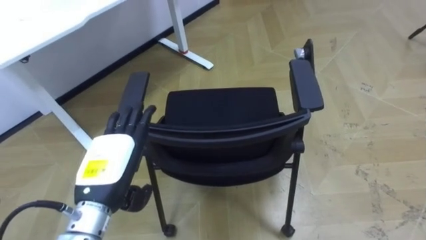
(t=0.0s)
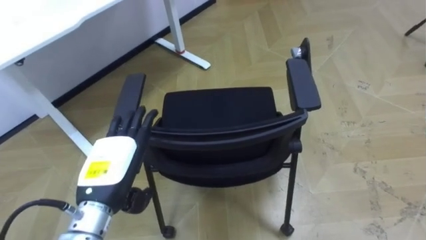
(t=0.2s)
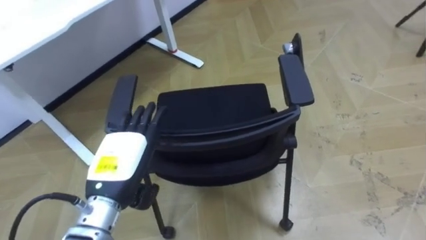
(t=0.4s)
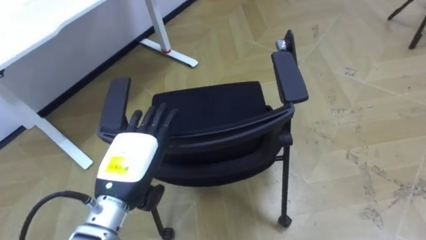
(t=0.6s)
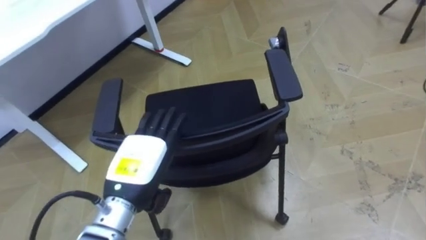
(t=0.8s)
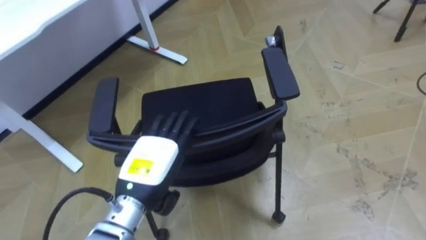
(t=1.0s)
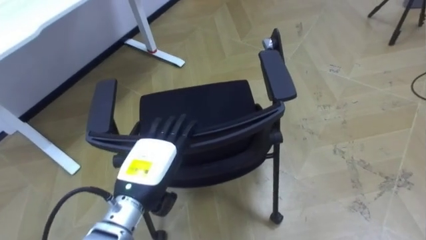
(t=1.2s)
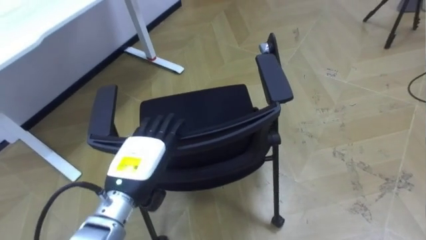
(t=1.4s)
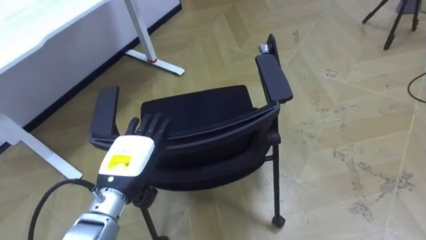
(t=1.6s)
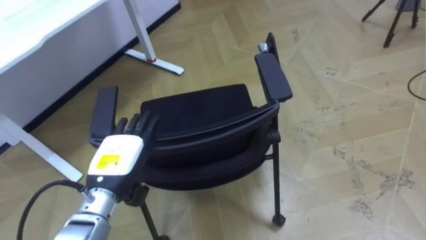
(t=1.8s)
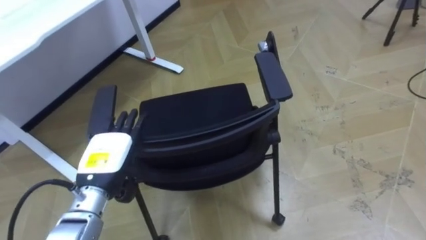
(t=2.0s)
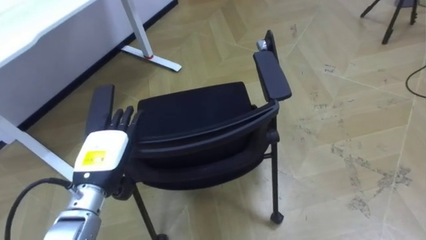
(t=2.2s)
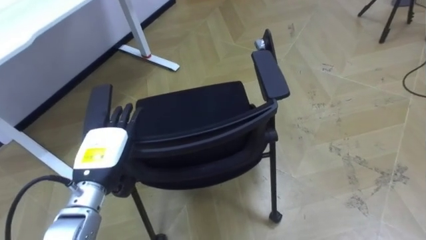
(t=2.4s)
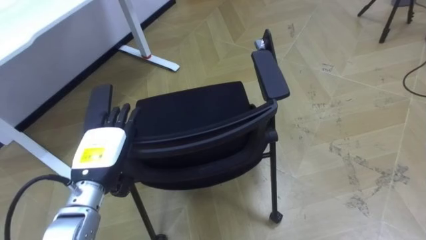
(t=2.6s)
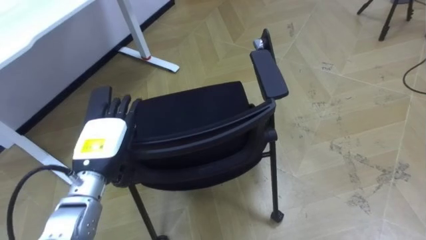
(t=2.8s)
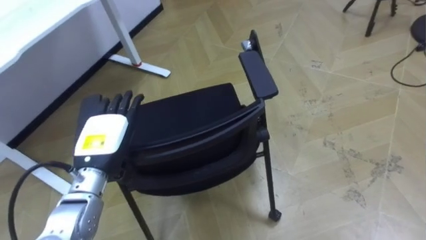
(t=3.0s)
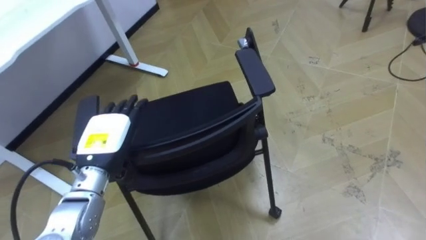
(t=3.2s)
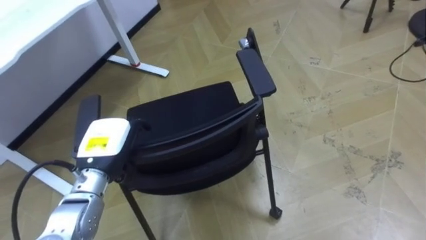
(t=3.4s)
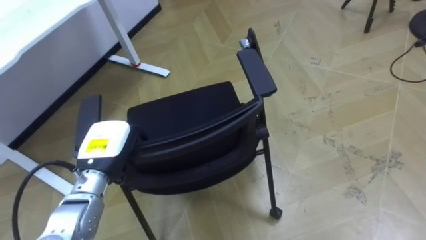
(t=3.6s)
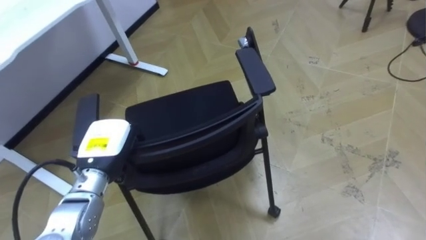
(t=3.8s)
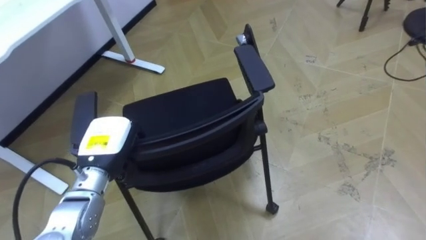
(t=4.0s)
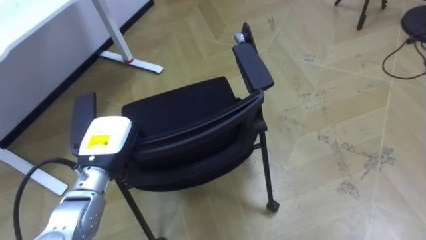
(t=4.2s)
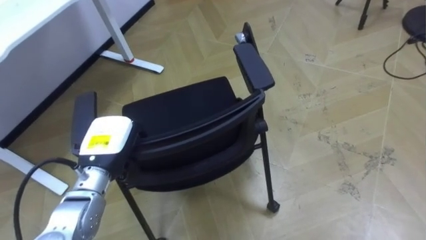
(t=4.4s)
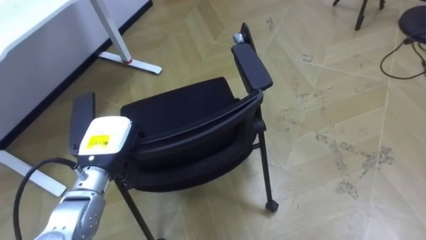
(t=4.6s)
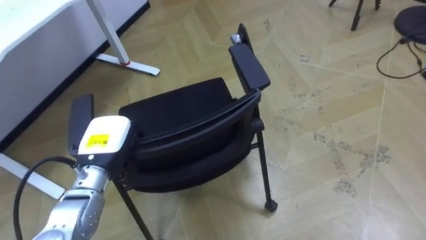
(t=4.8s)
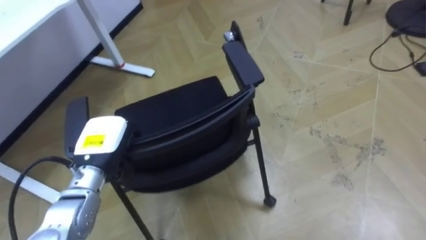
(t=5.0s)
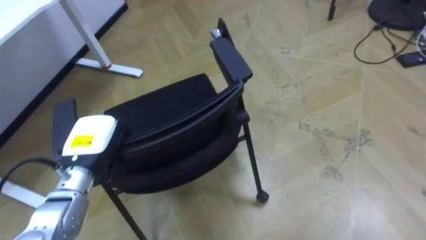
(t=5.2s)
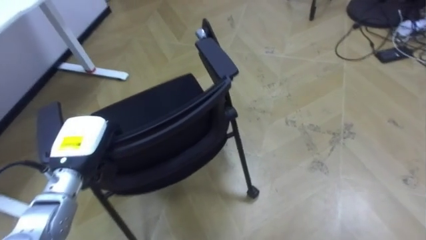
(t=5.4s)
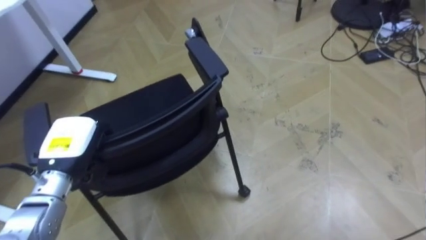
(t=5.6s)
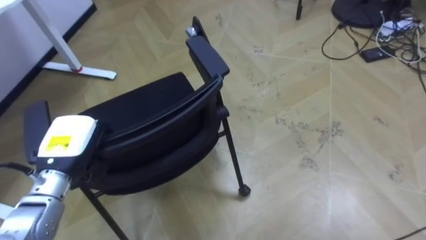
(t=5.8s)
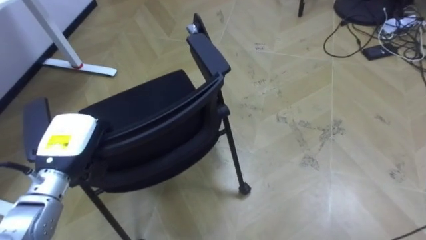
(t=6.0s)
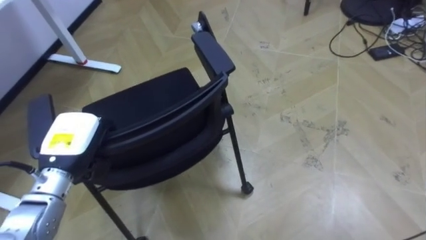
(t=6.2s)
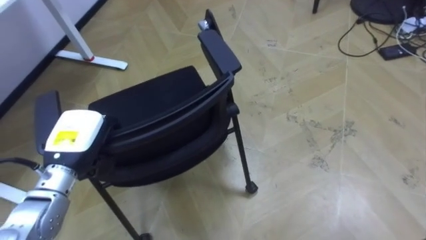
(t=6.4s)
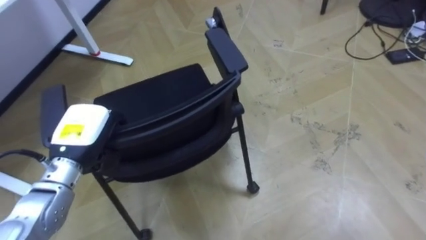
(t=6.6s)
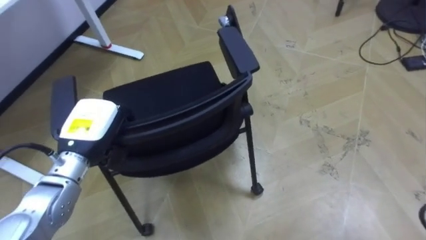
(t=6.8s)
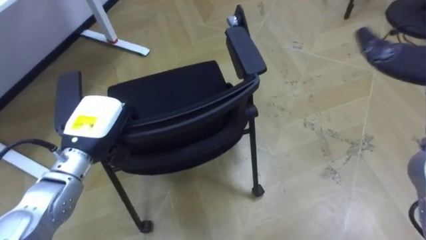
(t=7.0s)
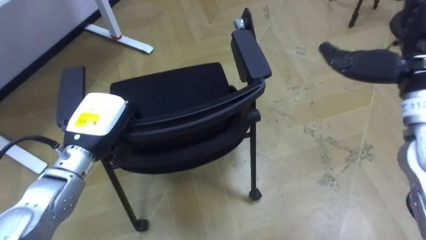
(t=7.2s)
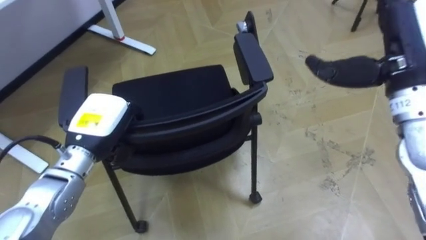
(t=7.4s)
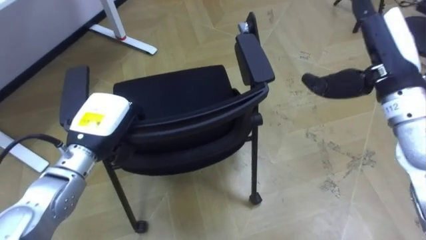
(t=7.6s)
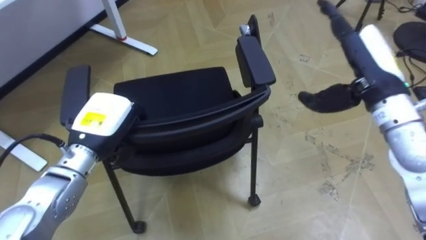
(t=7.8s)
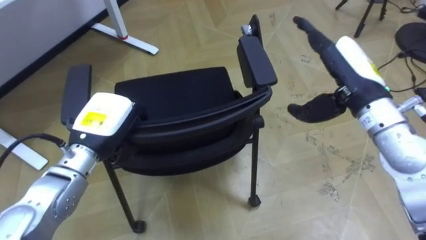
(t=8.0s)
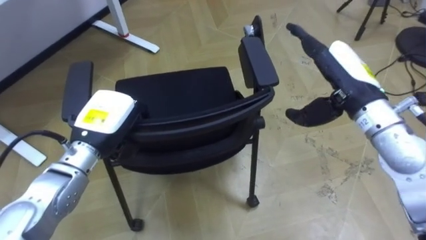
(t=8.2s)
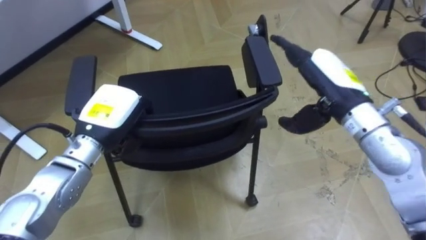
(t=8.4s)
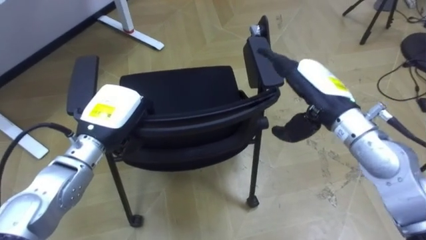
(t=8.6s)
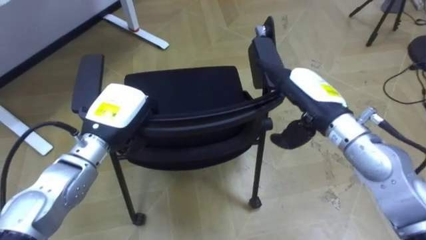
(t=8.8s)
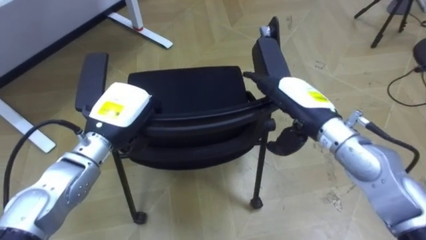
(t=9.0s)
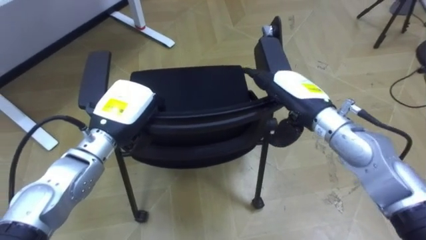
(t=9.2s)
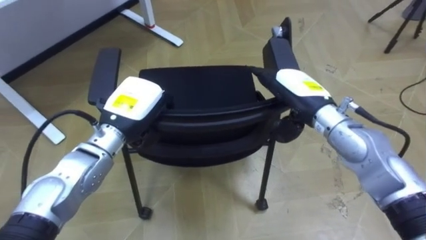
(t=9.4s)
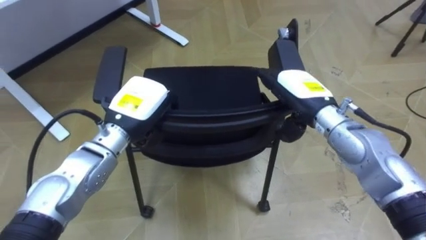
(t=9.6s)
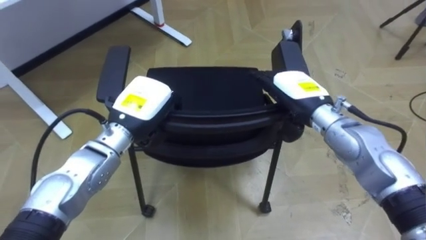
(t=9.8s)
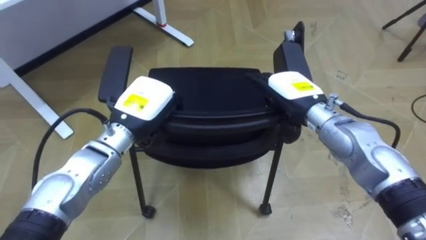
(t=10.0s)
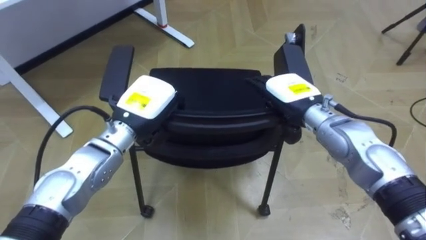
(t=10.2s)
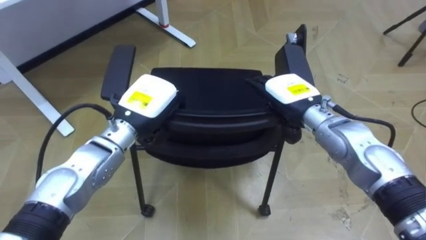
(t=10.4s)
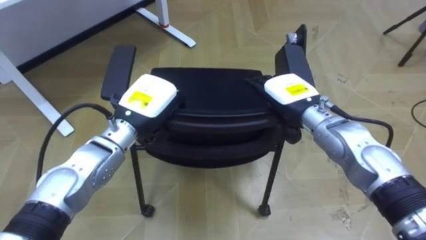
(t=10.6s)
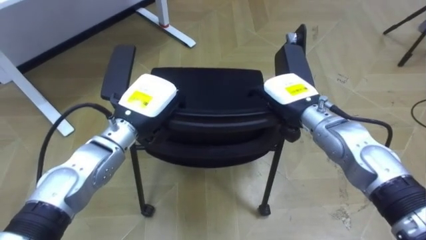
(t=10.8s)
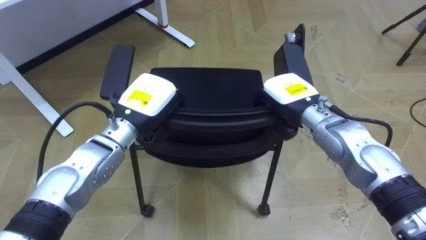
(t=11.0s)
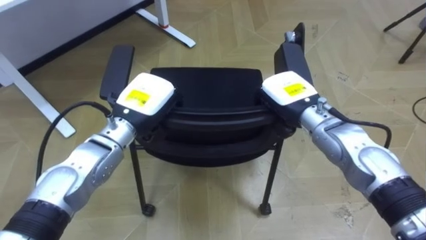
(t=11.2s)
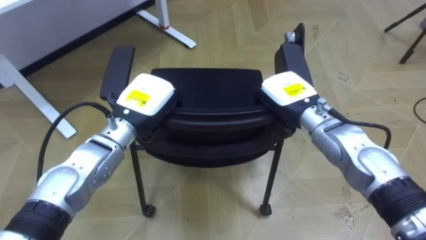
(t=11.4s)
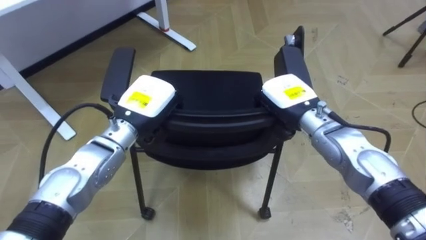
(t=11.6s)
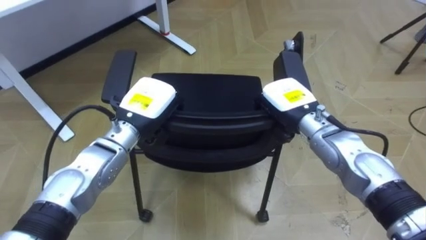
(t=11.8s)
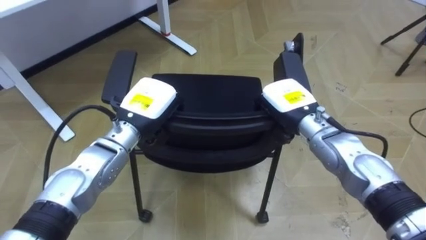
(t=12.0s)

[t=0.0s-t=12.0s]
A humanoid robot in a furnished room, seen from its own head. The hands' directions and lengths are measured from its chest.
Task of the whole recording: Push the chair under the table.
t=0.0s to t=1.6s: The left hand shifts by approximately 5 cm.
t=1.6s to t=3.0s: The left hand changes place by about 5 cm.
t=3.0s to t=4.4s: The left hand closes its fingers.
t=4.4s to t=6.0s: The left hand goes approximately 5 cm to the left.
t=6.0s to t=7.6s: The left hand goes approximately 5 cm to the right.
t=7.6s to t=9.0s: The right hand shifts about 15 cm downward and to the left.
t=9.0s to t=10.4s: The left hand ends up approximately 5 cm from where it was; the right hand ends up approximately 5 cm from where it was.
t=10.4s to t=12.0s: The right hand closes its fingers.

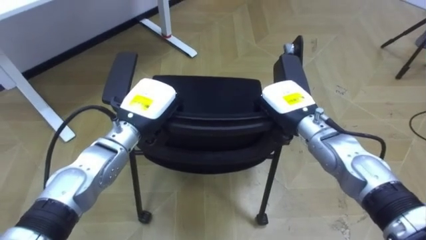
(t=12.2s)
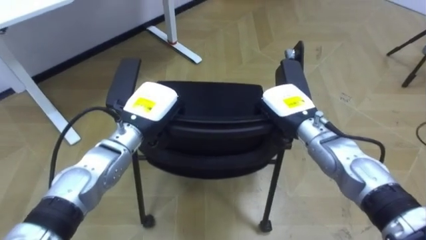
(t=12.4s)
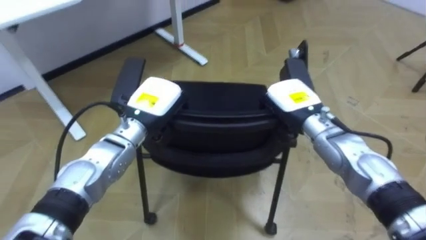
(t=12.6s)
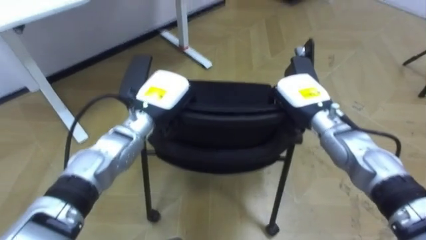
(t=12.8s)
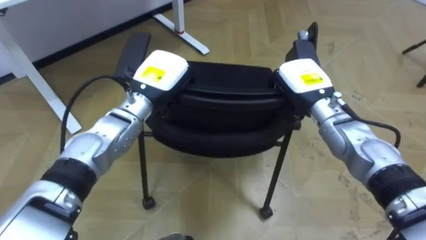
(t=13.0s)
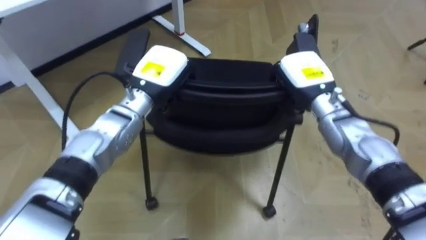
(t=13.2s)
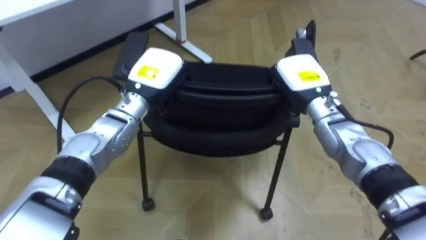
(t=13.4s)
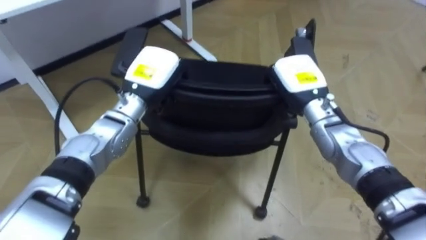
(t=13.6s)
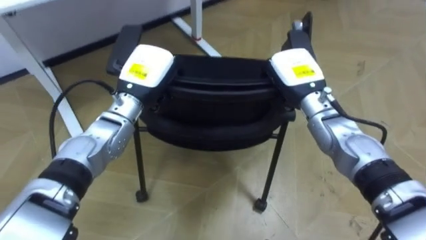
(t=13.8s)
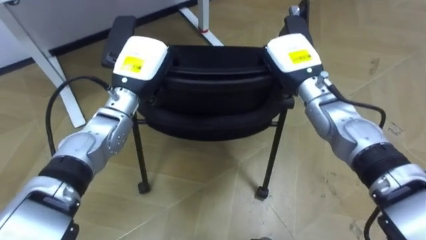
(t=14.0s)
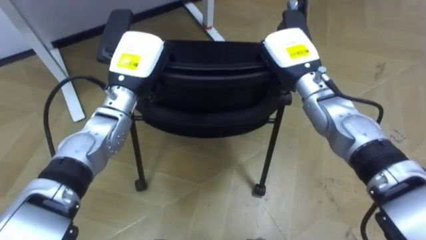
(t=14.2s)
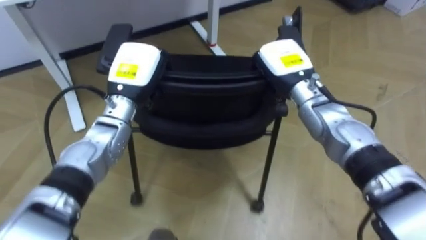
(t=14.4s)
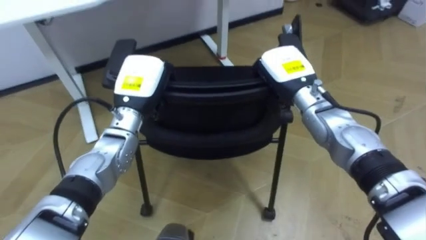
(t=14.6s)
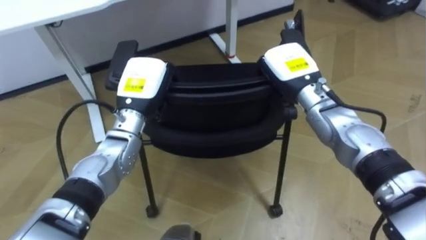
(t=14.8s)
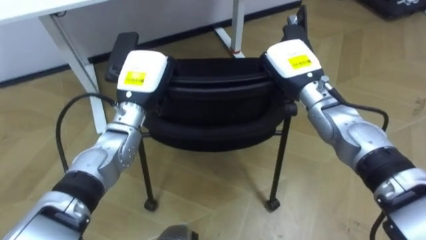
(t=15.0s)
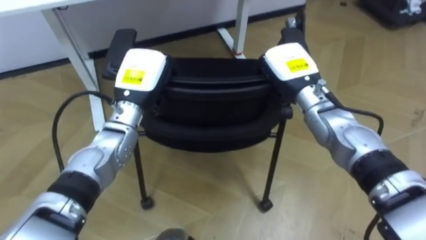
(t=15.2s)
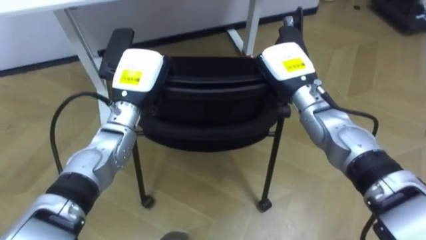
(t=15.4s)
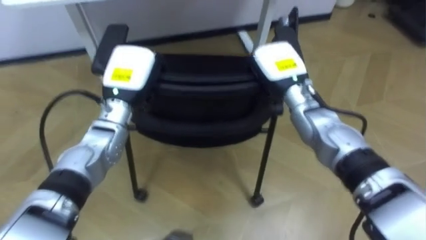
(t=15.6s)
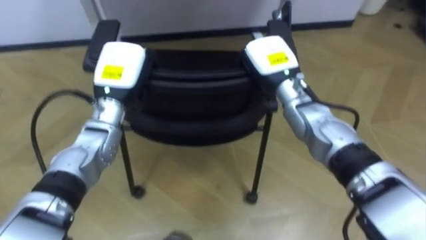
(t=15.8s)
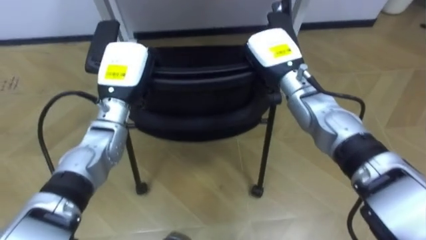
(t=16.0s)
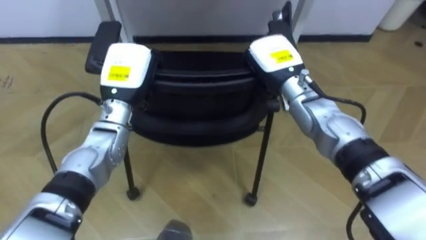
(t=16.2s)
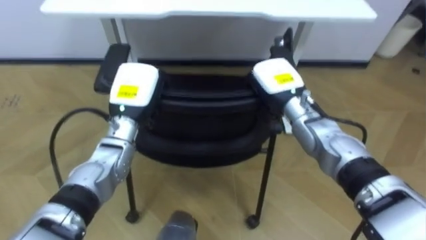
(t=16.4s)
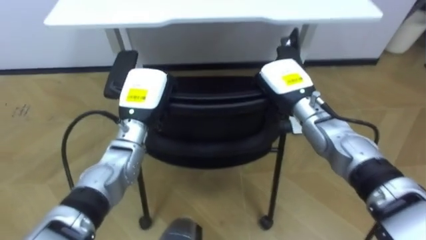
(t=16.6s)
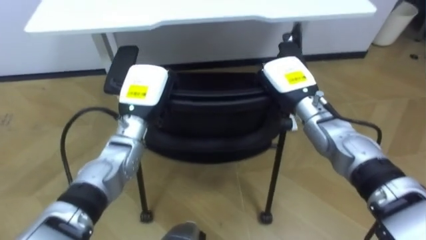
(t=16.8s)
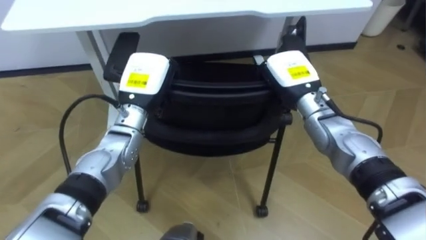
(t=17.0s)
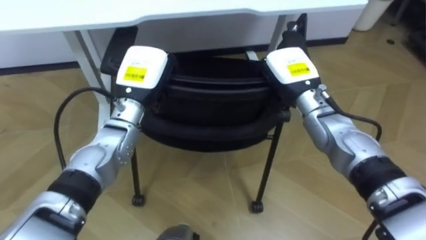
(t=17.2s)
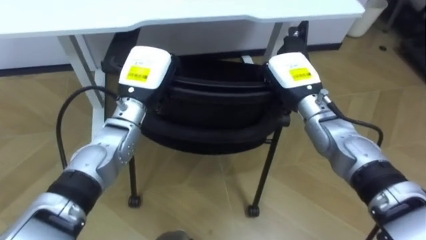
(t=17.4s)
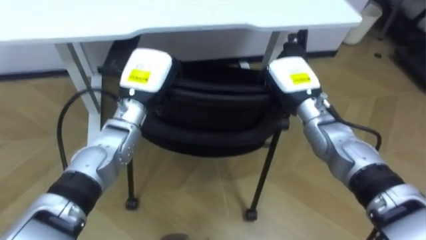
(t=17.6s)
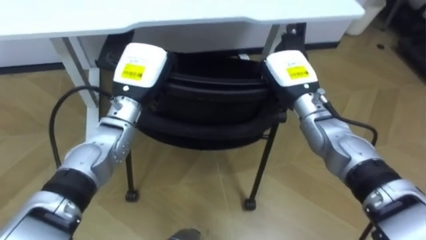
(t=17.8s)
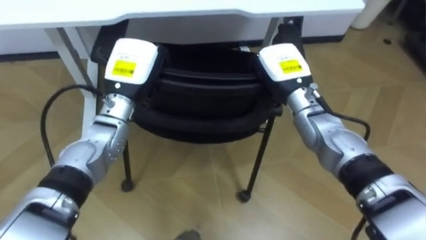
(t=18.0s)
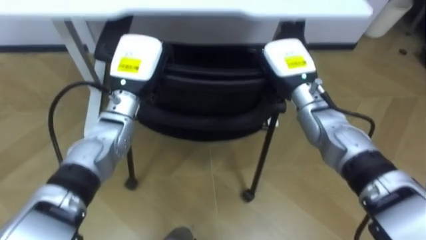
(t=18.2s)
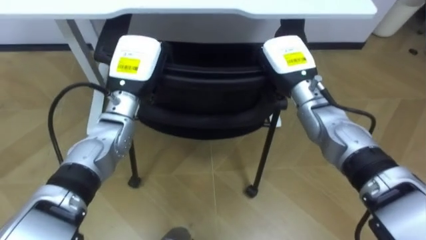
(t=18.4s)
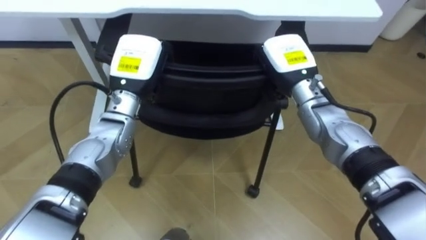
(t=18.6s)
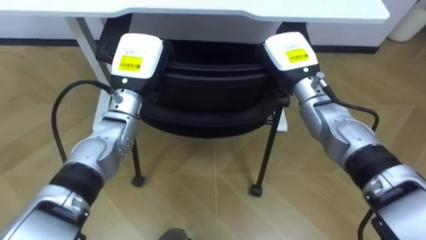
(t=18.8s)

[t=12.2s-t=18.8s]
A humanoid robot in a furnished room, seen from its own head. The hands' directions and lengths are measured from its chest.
Task of the whole recording: Push the chair under the table.
t=12.2s to t=13.8s: The right hand moves roughly 5 cm, while the left hand shifts by roughly 5 cm.
